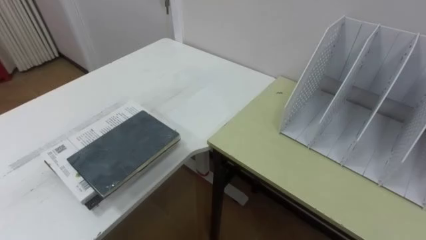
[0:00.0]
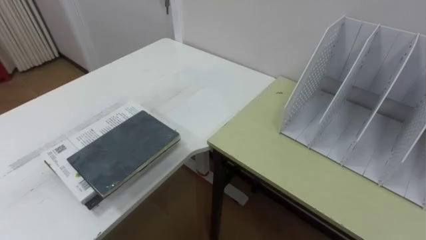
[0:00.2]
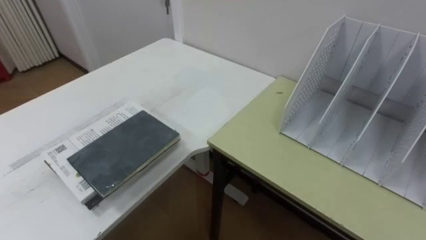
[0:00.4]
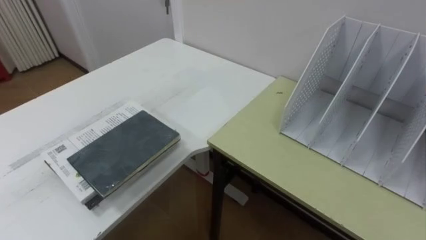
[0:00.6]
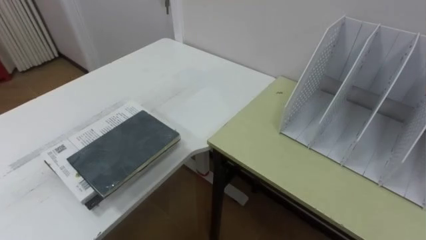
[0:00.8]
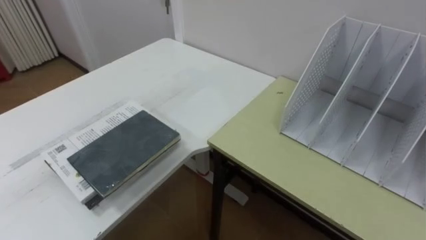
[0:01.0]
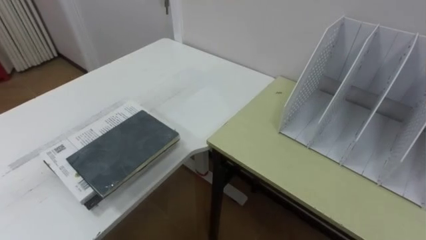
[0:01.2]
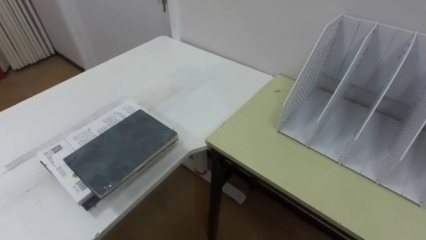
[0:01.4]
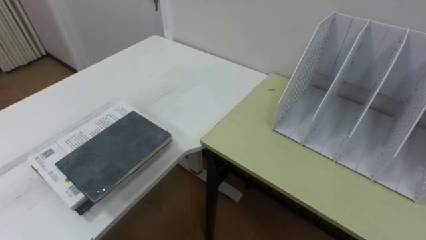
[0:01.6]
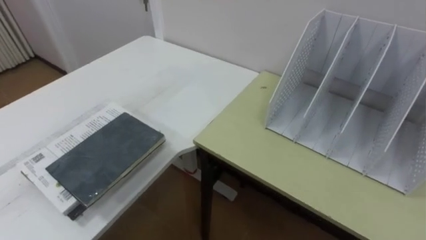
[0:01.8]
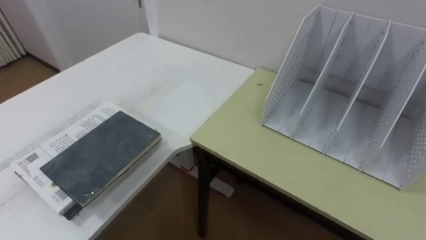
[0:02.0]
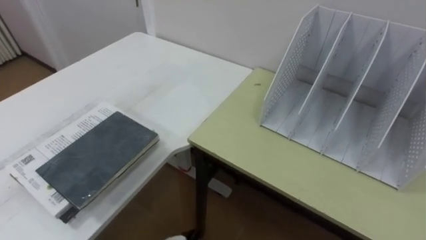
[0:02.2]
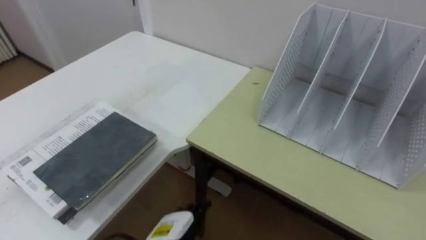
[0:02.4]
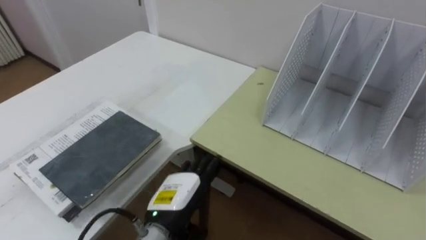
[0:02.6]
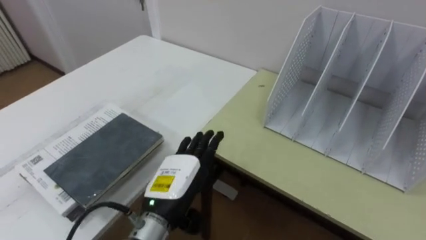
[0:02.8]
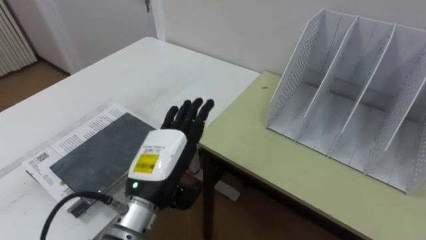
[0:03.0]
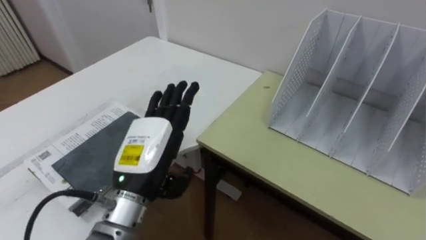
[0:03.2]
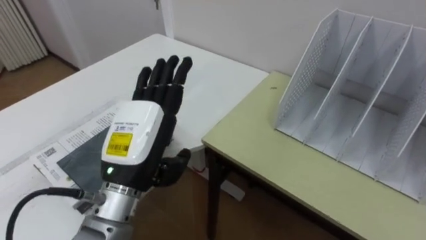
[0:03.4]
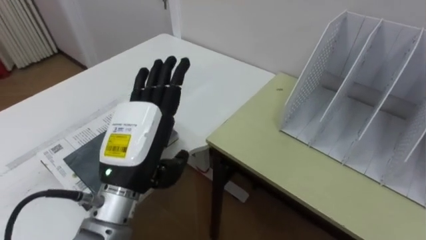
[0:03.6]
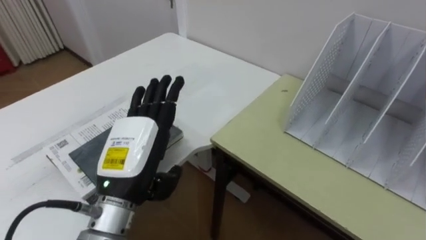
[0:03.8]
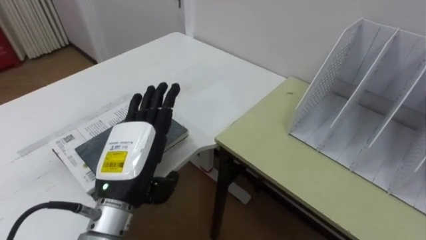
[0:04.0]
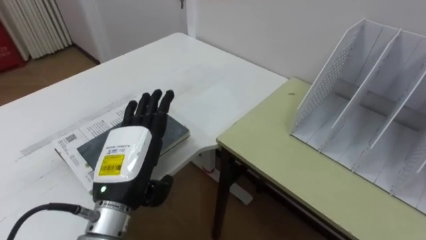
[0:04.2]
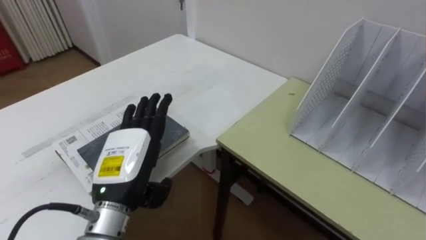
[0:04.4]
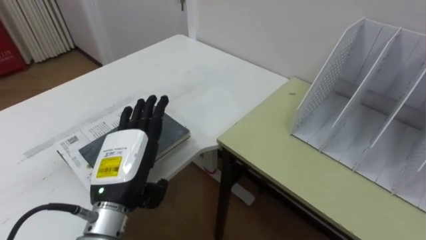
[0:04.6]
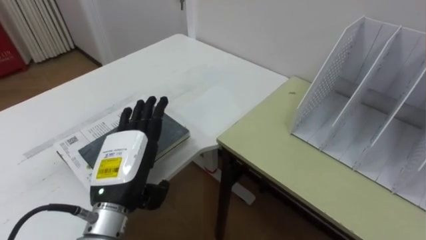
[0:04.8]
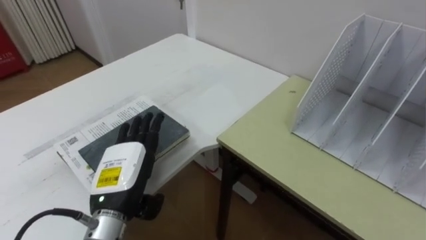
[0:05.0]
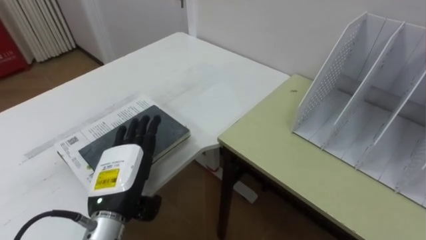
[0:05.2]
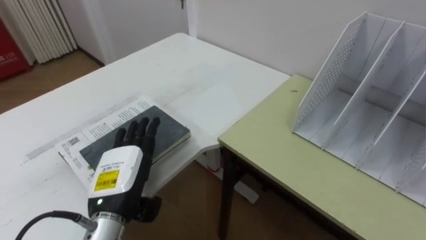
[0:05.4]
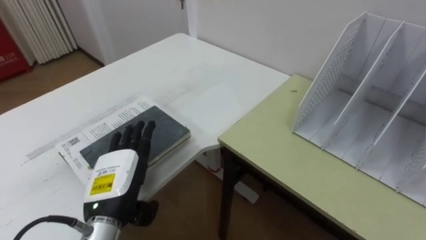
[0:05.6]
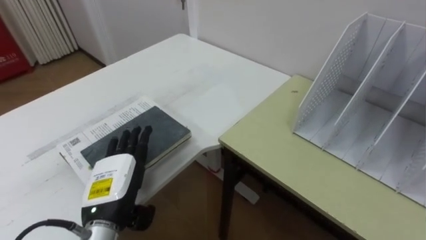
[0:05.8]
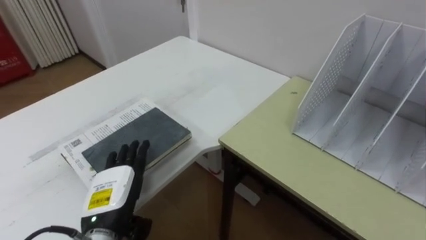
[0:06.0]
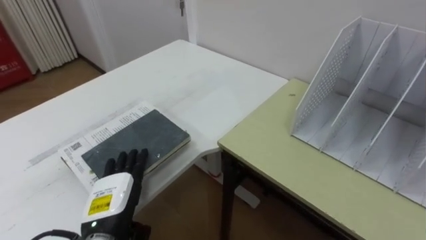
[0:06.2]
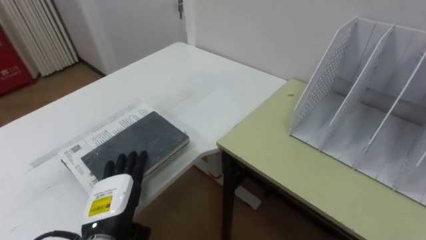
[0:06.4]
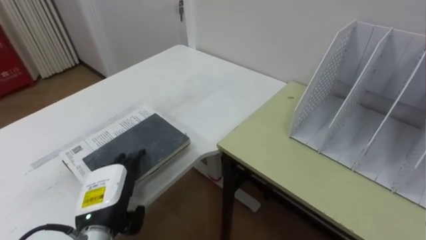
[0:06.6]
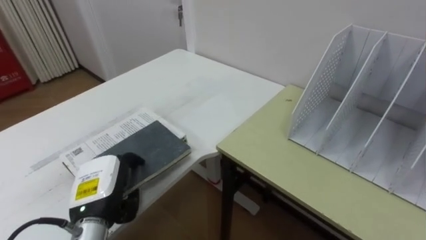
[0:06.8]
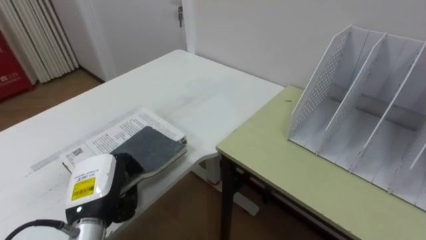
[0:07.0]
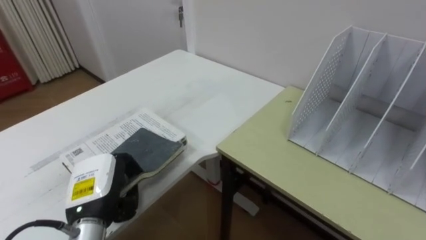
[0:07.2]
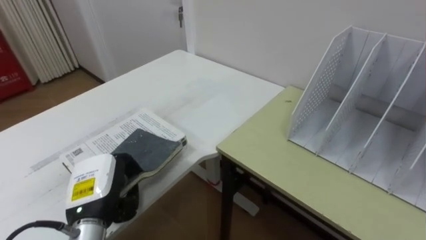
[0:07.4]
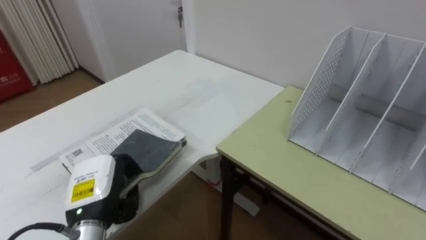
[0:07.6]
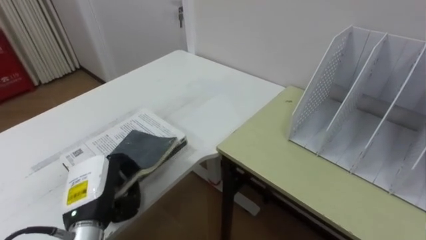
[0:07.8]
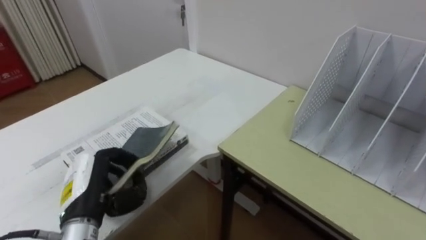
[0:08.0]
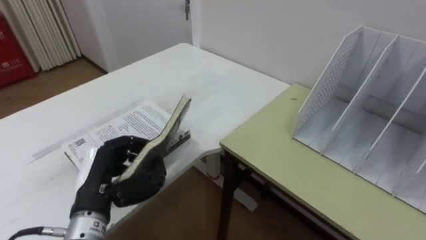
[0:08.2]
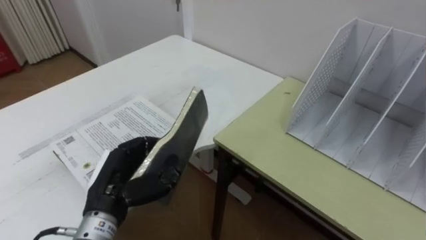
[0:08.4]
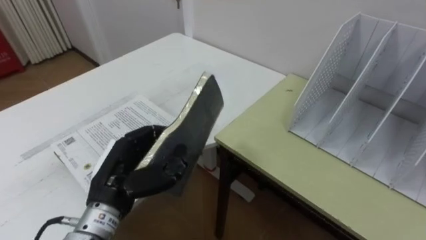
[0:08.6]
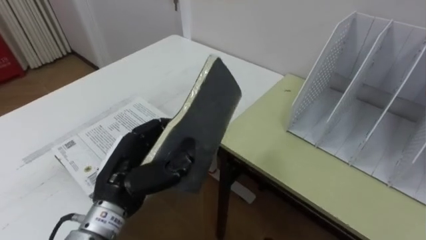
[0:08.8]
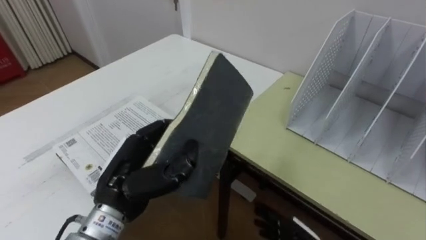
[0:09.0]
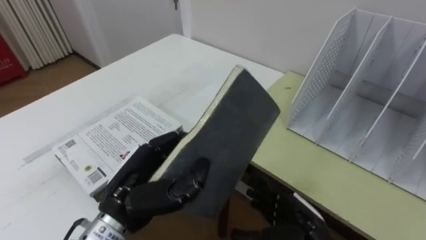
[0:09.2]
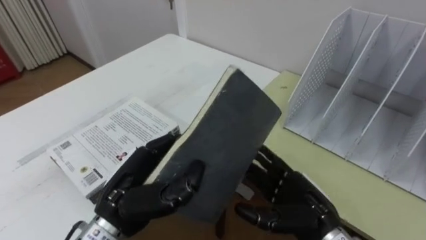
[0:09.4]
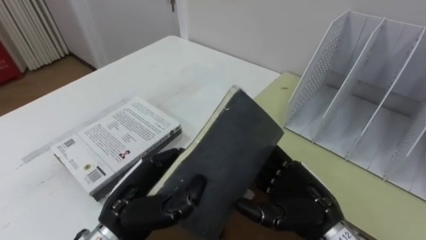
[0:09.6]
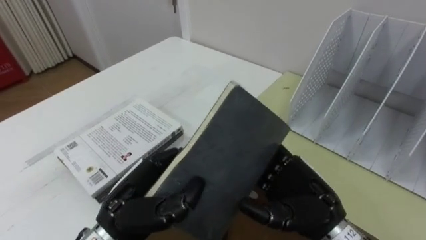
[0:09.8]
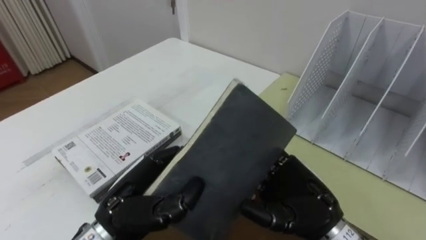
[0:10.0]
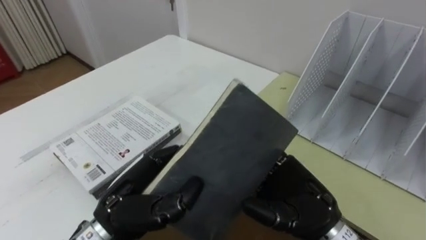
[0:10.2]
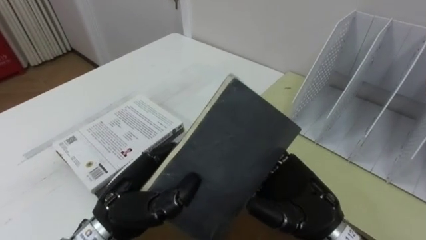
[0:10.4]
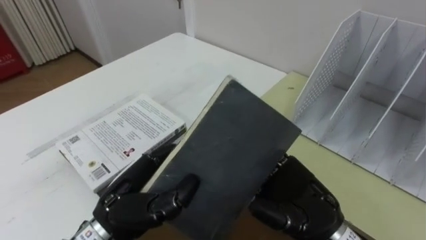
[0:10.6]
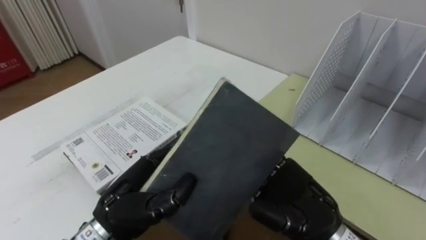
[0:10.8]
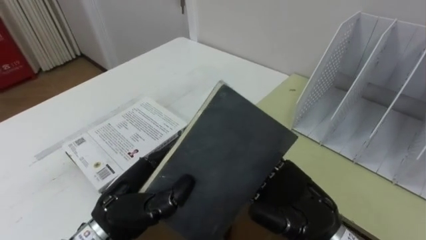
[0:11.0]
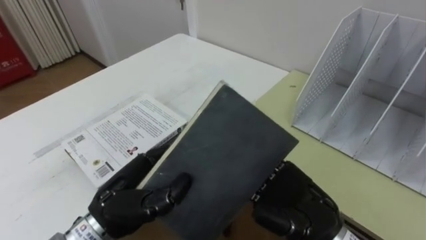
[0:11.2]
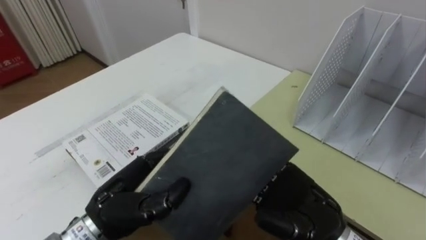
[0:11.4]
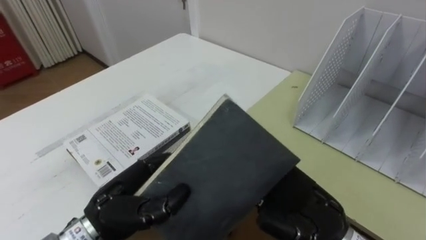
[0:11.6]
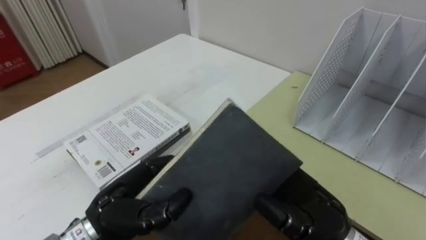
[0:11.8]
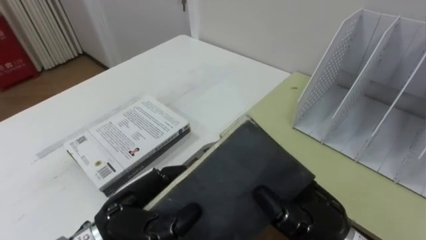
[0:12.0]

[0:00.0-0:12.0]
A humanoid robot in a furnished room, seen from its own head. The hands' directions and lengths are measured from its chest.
Task of the whole recording: Put the books on the table onto the bookshelf.
0:03.0 to 0:04.4: The left hand moves to the left, roughly 5 cm.
0:04.4 to 0:06.0: The left hand is displaced downward by roughly 10 cm.
0:06.0 to 0:07.6: The left hand closes its fingers.
0:07.6 to 0:09.0: The left hand is displaced to the right and upward by about 10 cm.
0:10.4 to 0:12.0: The right hand closes its fingers.

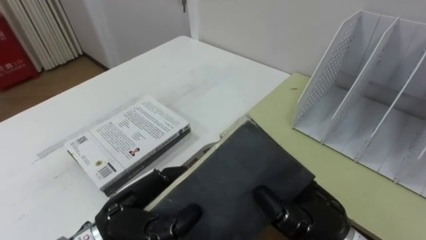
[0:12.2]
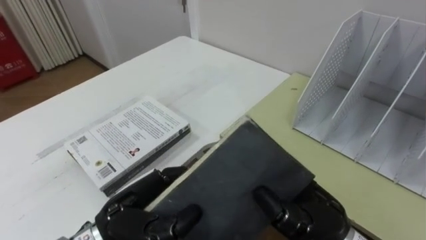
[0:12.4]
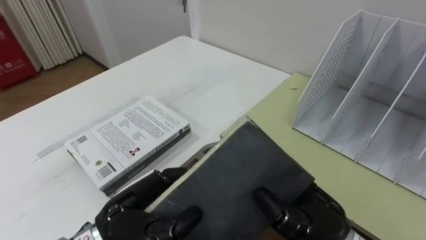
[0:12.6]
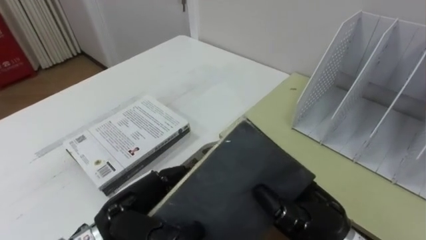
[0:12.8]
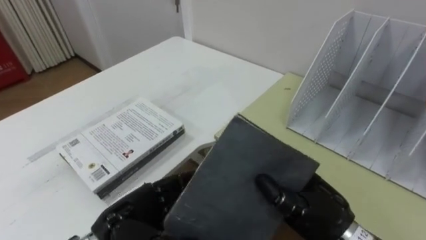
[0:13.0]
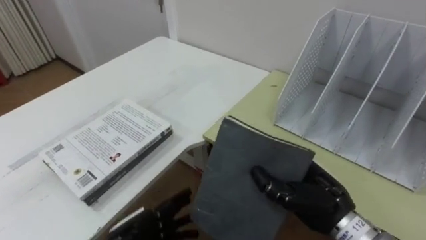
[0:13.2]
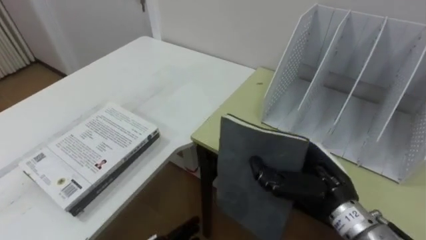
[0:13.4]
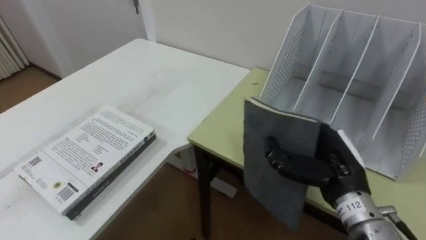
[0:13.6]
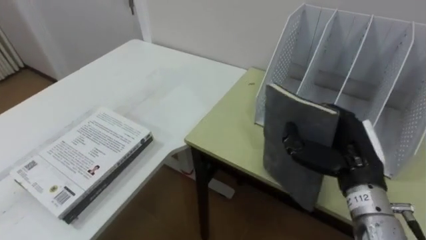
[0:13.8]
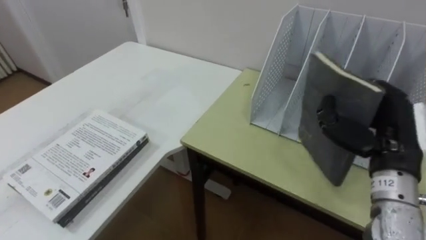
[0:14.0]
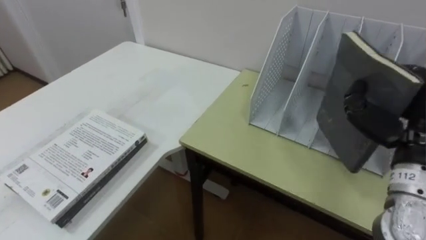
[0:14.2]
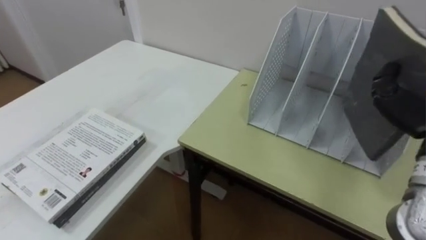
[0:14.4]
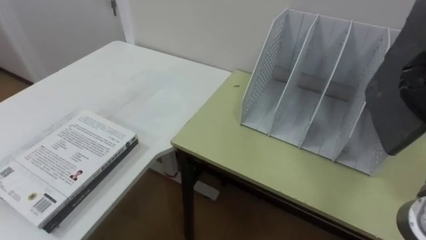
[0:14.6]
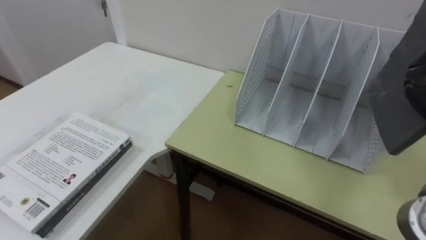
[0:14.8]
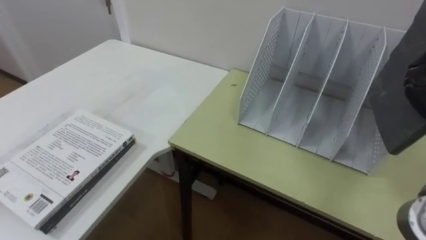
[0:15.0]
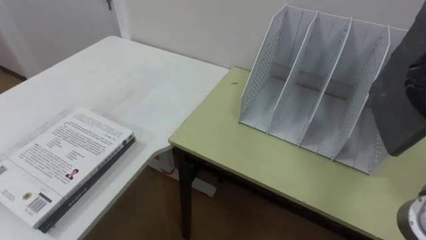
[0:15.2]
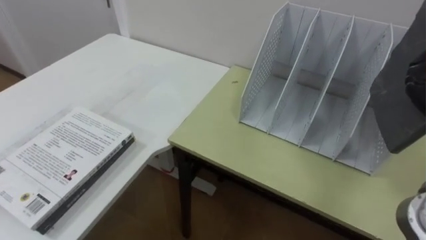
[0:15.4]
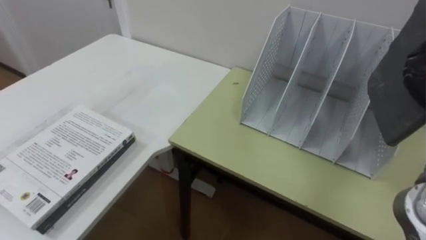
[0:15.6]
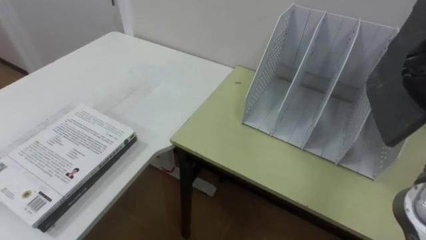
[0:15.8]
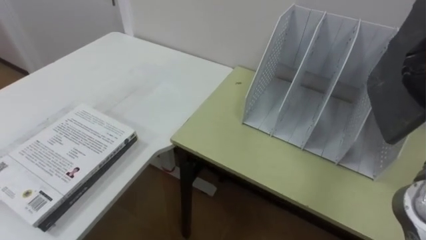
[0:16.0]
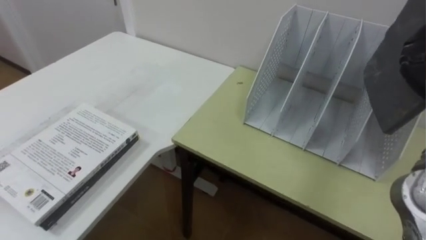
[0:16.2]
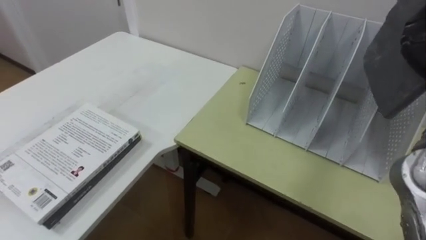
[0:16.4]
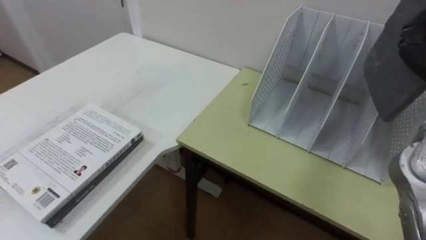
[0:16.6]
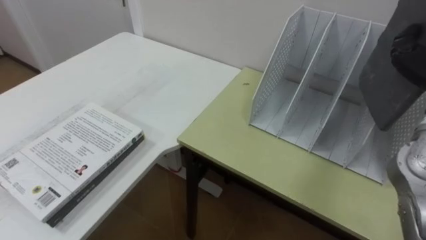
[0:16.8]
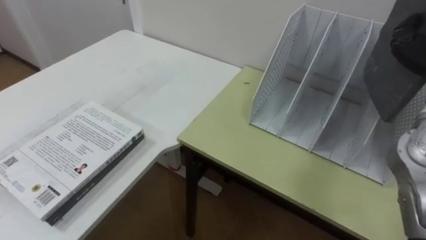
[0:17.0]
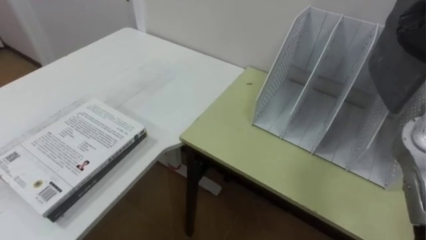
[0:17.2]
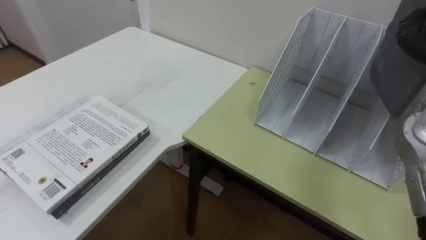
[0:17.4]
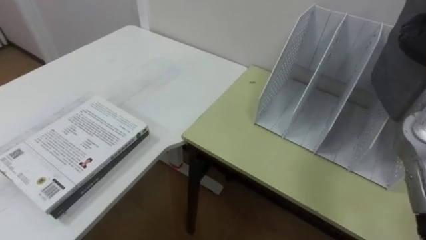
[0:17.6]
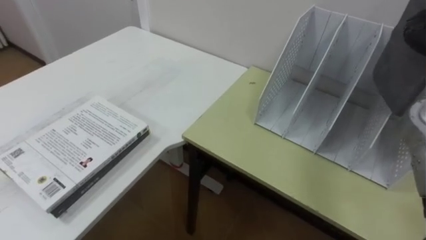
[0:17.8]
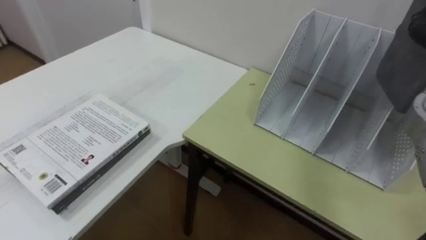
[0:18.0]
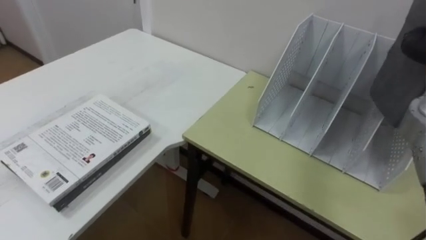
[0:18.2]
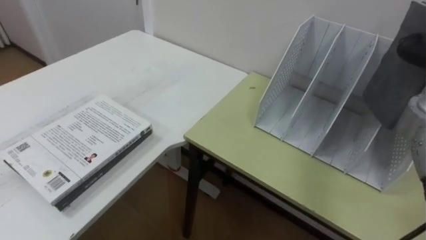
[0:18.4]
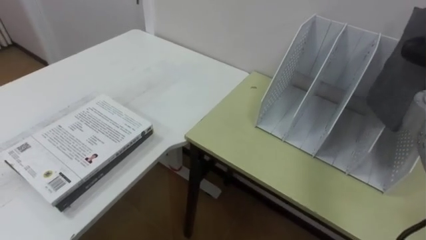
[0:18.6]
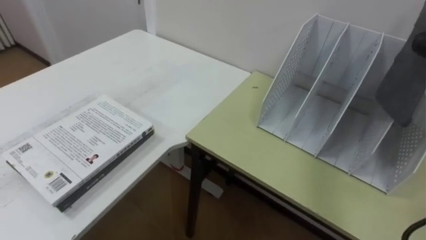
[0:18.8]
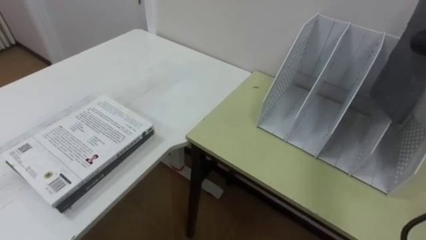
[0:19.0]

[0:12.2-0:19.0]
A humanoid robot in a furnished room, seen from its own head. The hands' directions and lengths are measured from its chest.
Task of the whole recording: Put the books on the table onto the bookshelf.
0:12.2 to 0:13.6: The right hand shifts roughly 10 cm forward and to the right.
